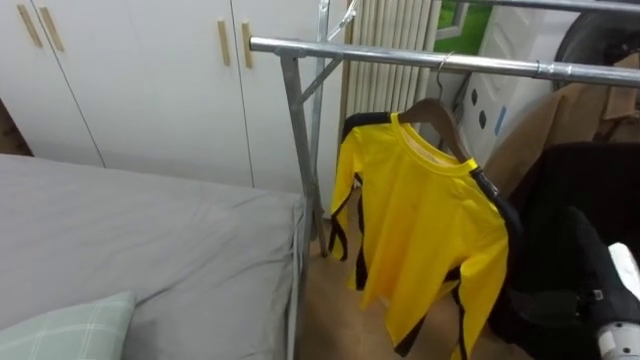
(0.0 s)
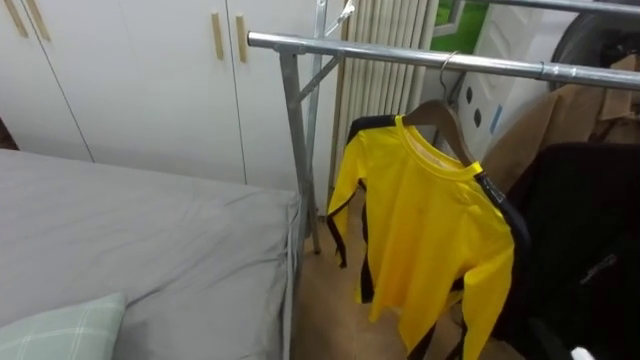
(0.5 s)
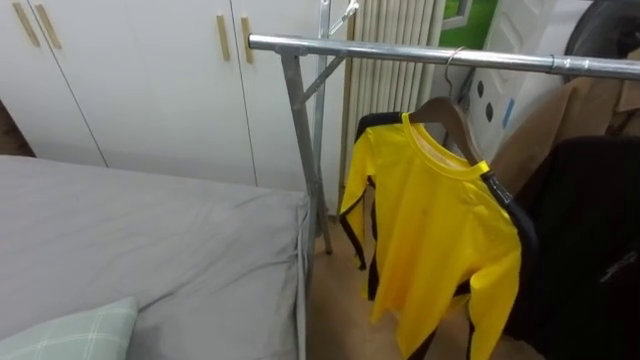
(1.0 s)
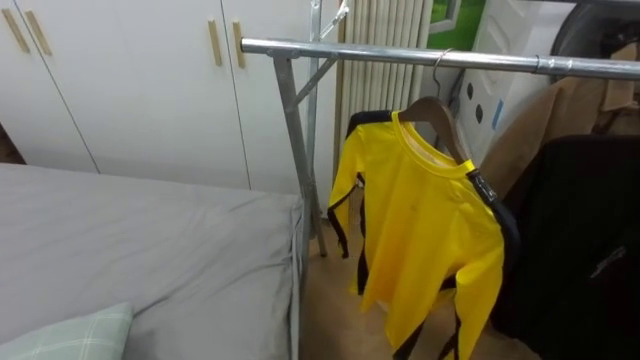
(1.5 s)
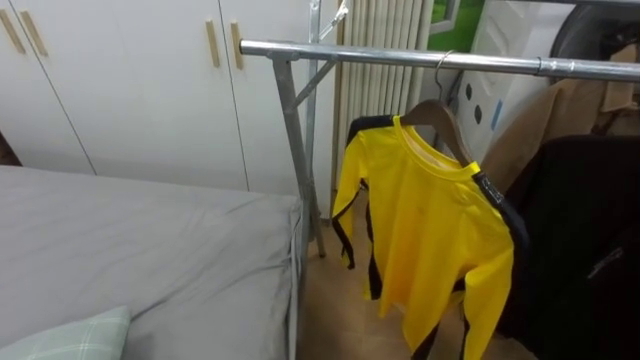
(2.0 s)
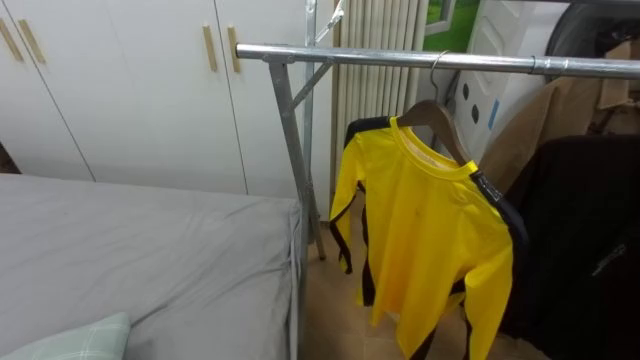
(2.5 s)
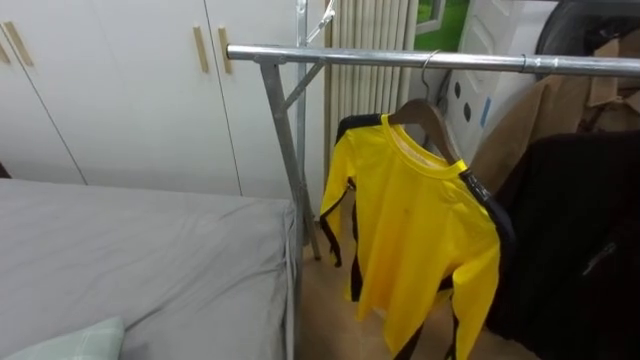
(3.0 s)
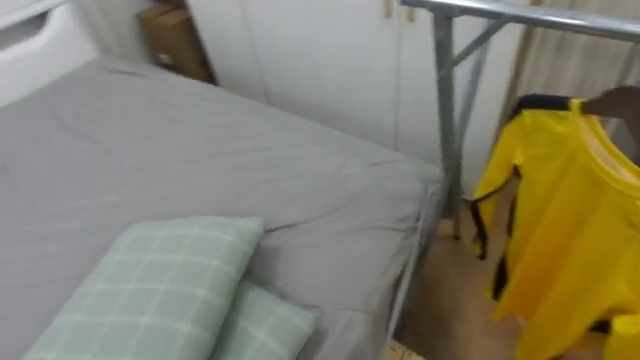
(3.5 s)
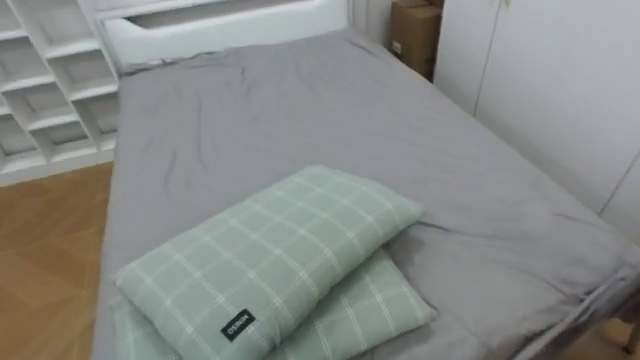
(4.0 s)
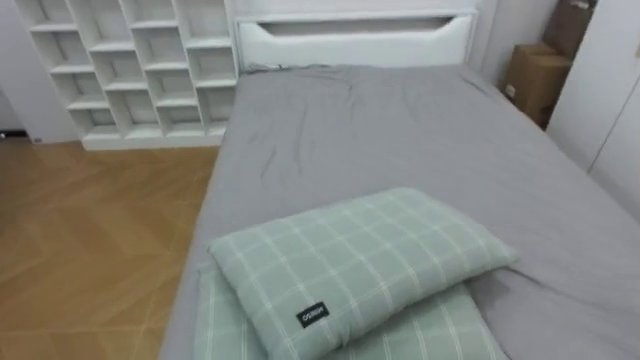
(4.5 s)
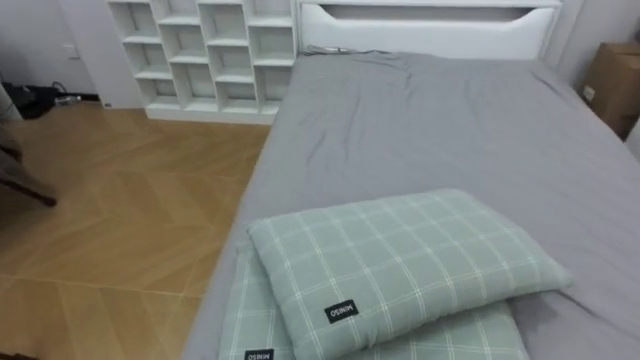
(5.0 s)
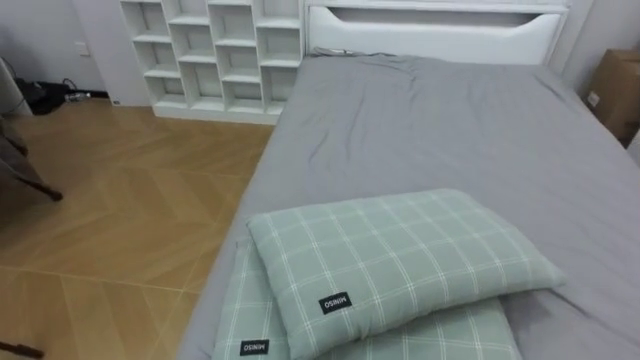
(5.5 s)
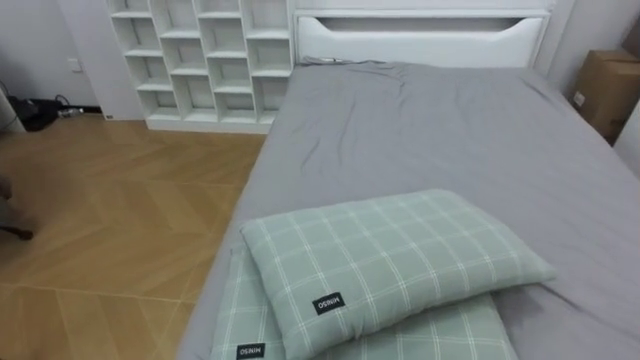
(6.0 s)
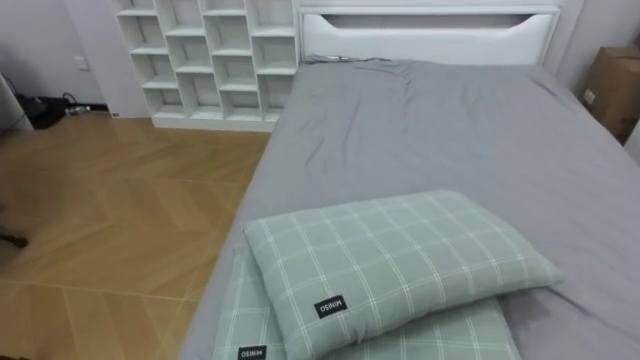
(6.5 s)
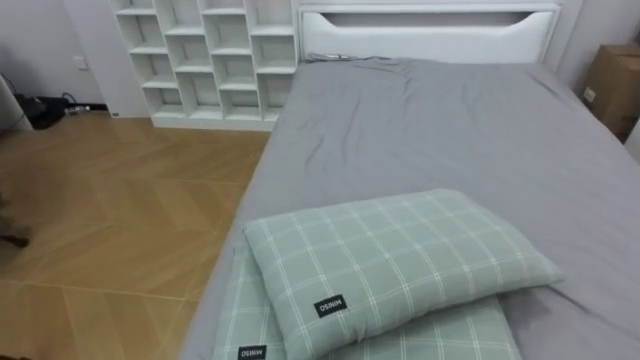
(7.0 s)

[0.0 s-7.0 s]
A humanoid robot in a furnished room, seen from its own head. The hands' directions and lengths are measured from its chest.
Task of the whole recording: Pick up the yellow shirt on the bed and hang it on the clothes rack on the right.
2.0 to 3.5 s: The robot faces approximately 15 degrees further to its left.
3.5 to 5.0 s: The robot faces some 70 degrees further to its left.

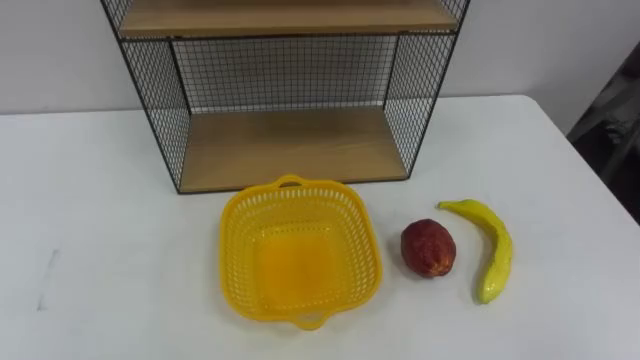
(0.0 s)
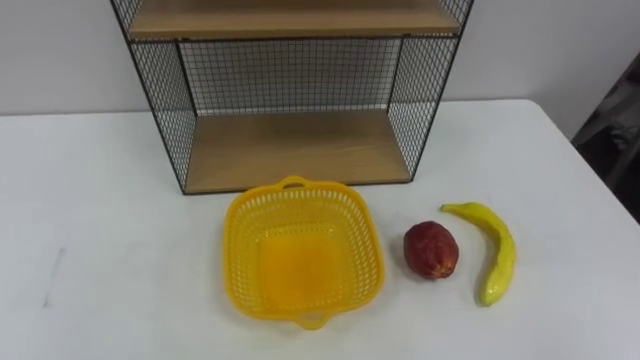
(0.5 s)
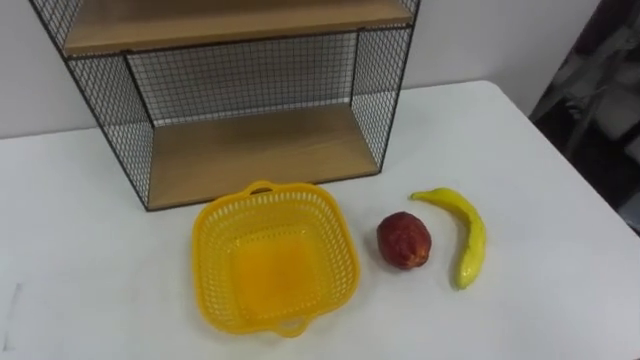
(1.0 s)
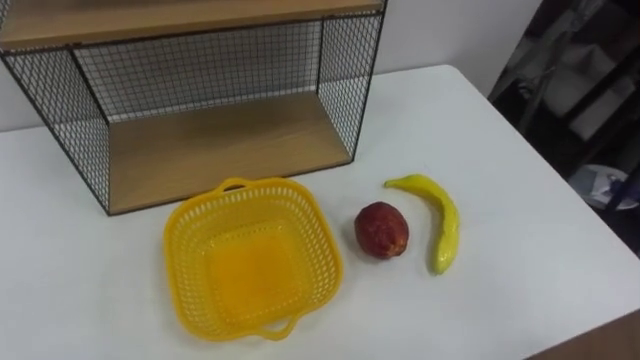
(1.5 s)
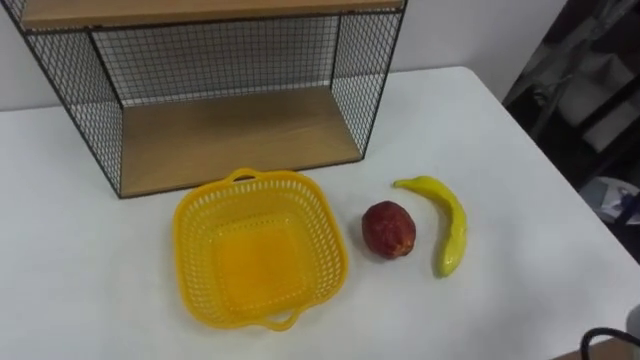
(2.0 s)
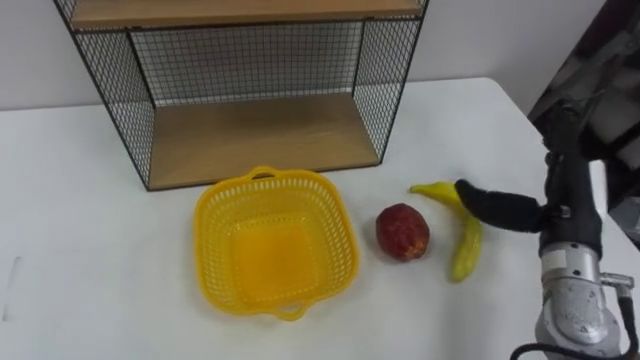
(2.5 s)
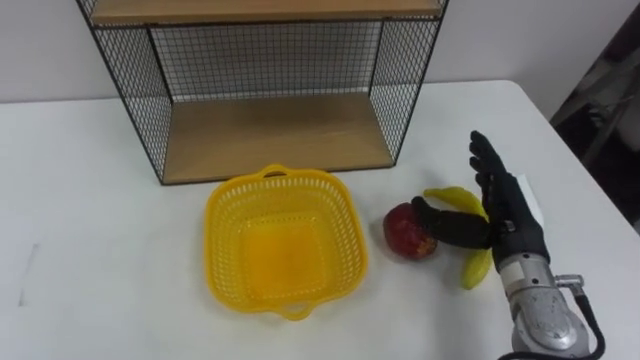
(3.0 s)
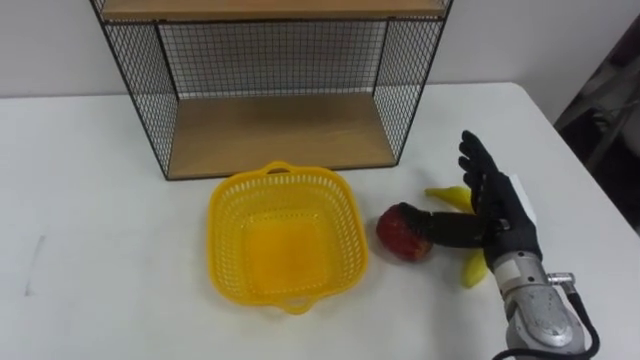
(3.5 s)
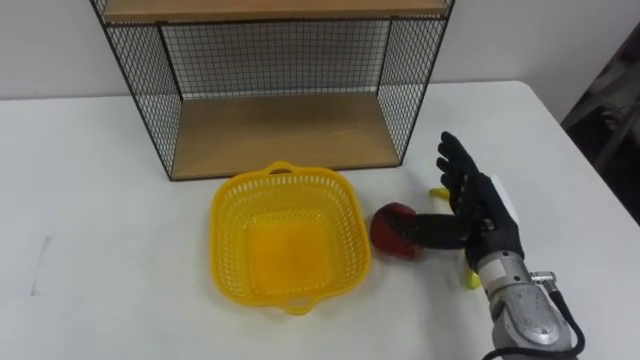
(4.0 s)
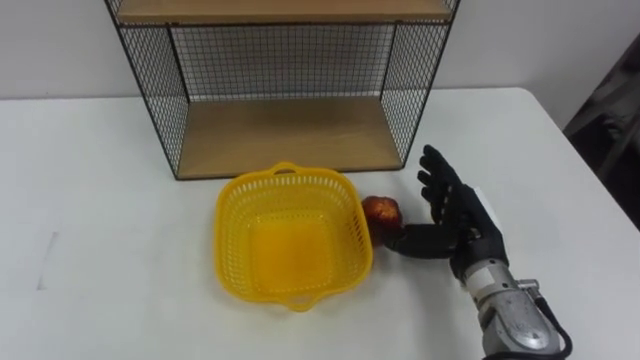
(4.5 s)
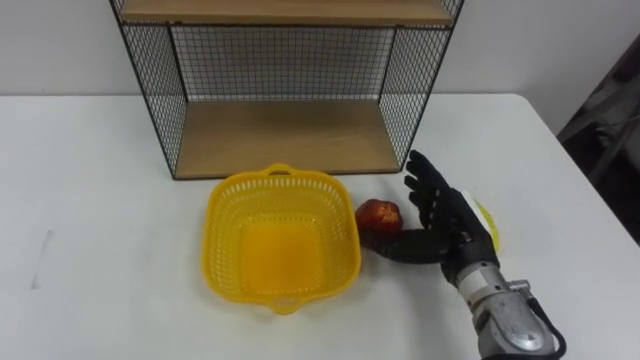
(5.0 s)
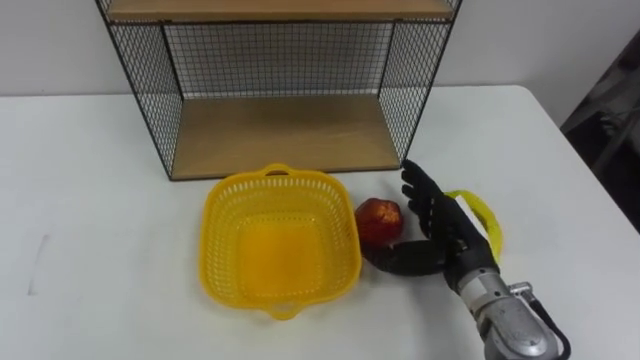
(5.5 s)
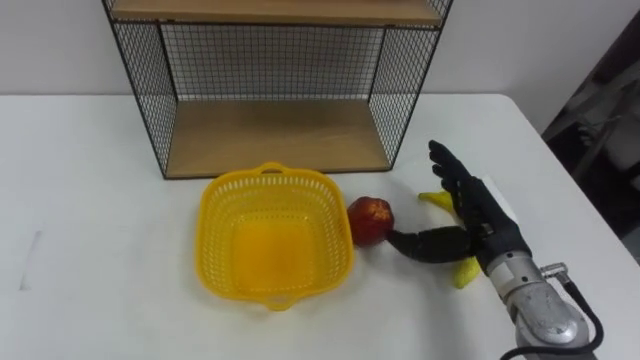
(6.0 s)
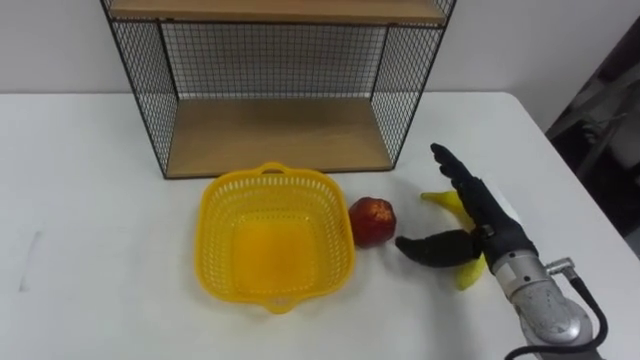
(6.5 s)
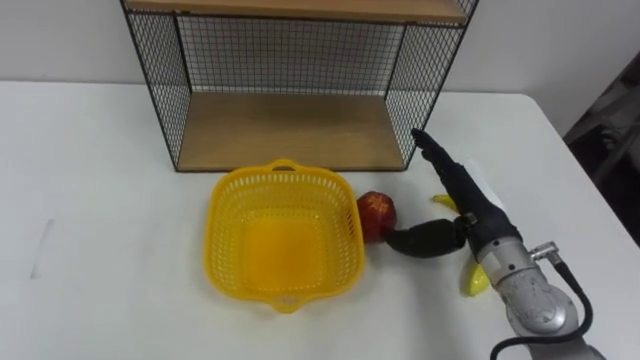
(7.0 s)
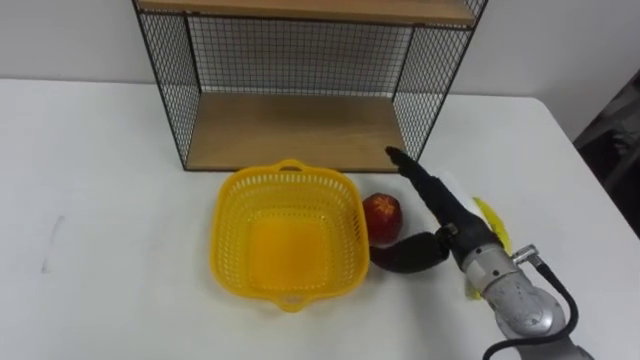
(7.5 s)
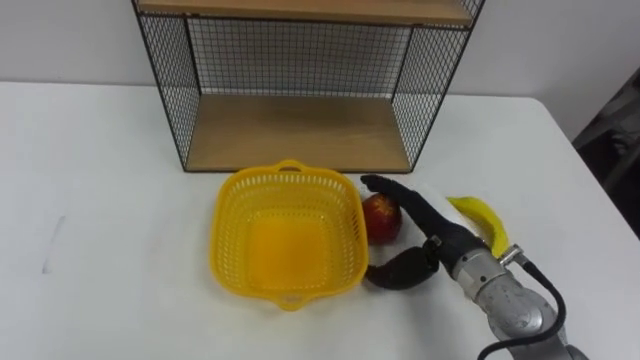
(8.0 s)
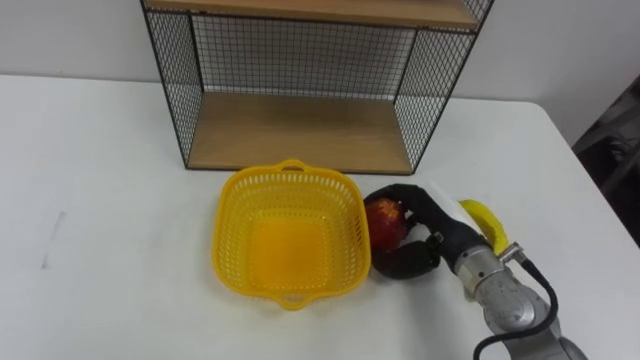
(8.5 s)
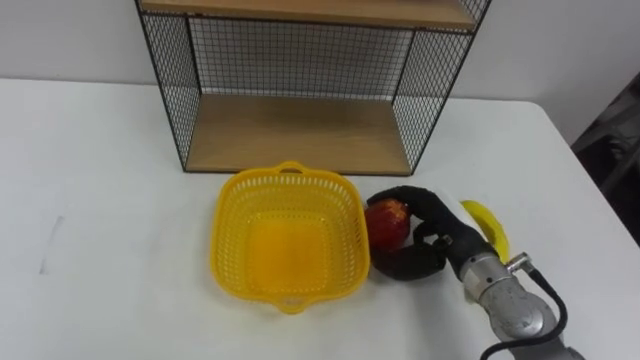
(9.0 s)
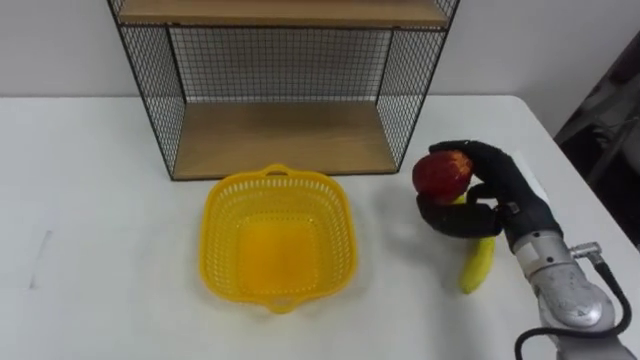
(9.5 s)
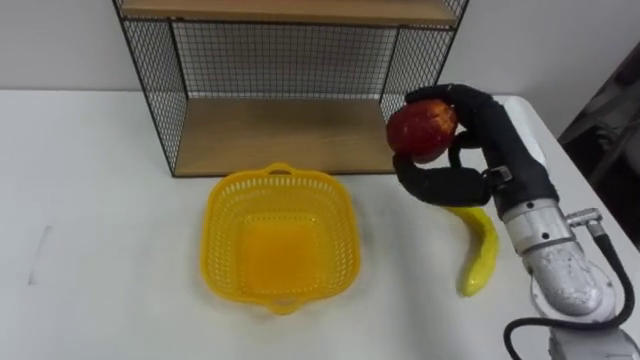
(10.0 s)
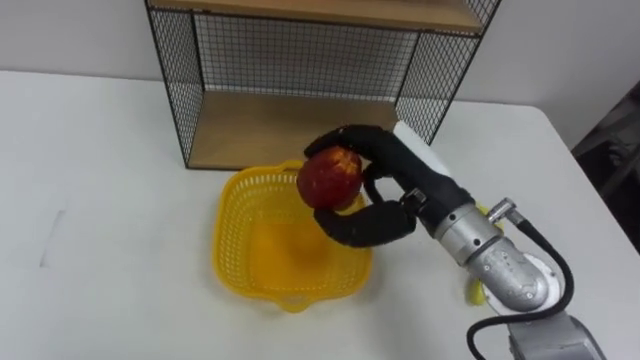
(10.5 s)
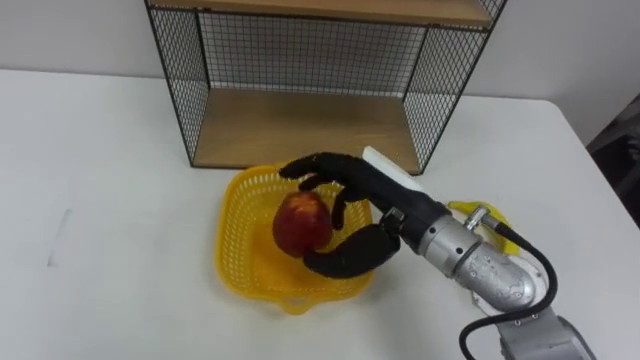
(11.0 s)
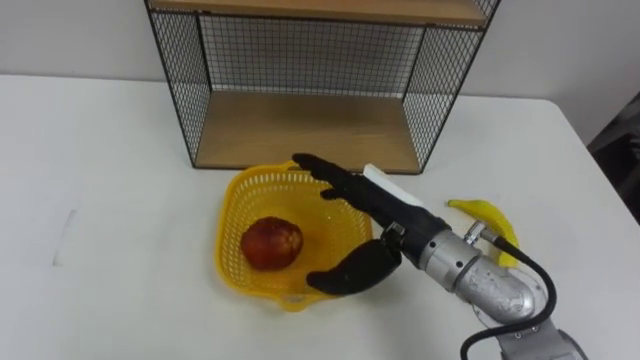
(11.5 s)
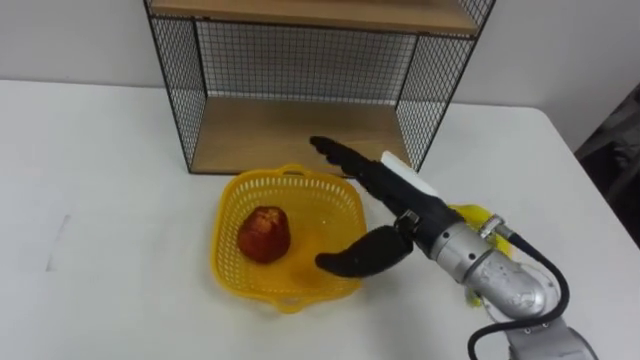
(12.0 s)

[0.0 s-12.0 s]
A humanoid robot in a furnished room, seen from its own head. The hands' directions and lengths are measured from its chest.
Task of the whole recording: Put the fruit on the table into the basket, then place the basket on the shelf.
6.0 to 8.0 s: The right hand travels to the left by approximately 5 cm.
8.0 to 10.0 s: The right hand heads upward, covering roughly 10 cm, and closes its fingers.
10.0 to 12.0 s: The right hand heads to the left, covering about 10 cm, and opens its fingers.

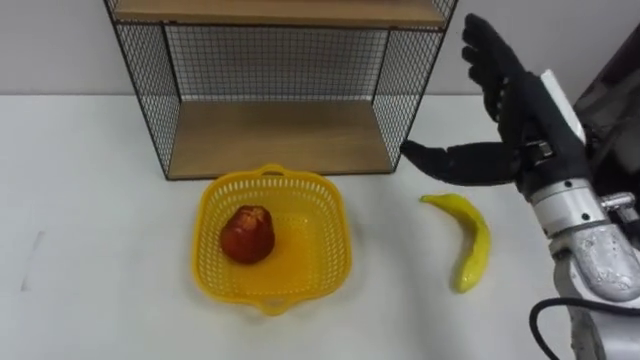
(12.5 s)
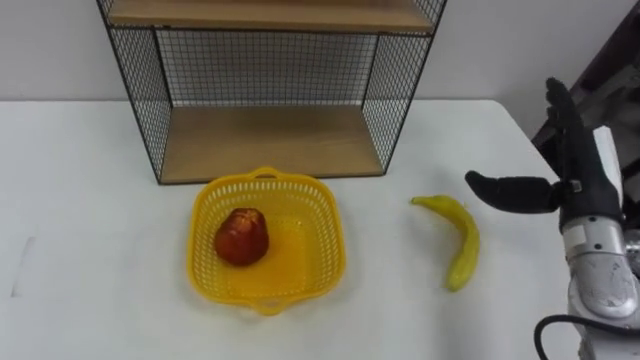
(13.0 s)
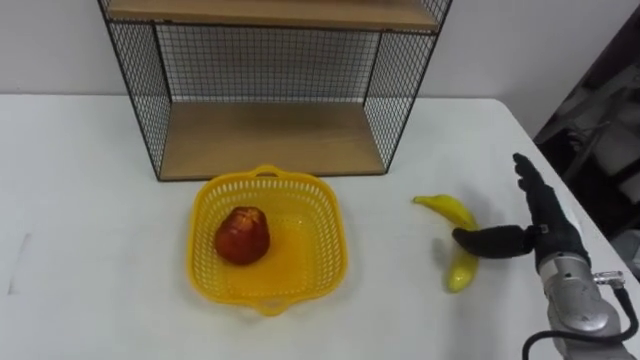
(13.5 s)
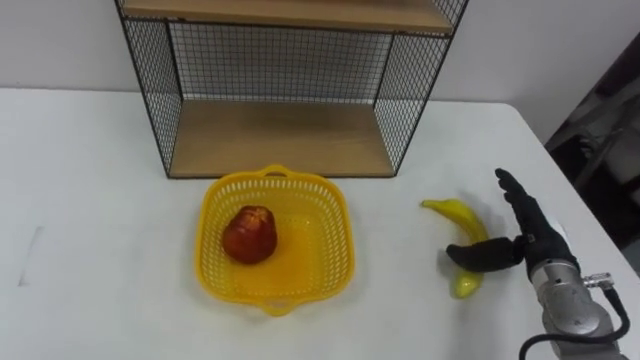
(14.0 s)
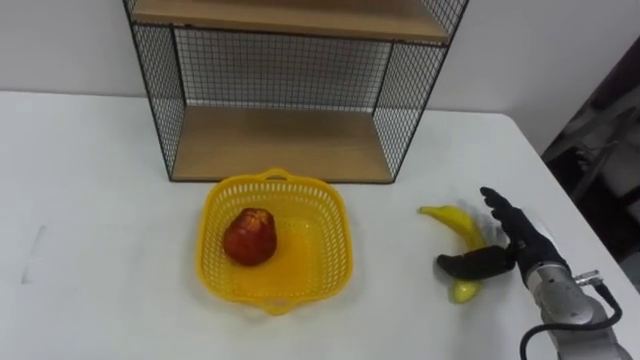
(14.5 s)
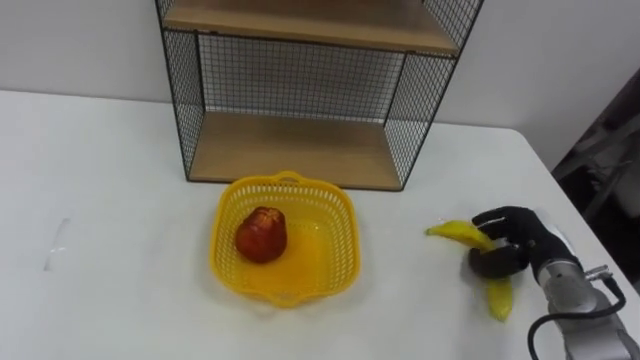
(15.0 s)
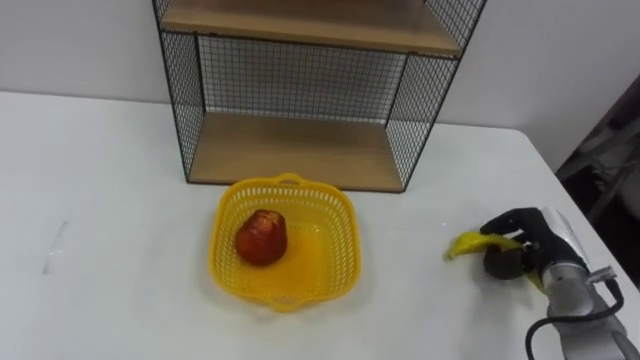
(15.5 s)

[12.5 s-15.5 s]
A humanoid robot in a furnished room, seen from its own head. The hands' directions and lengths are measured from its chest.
Task of the whole recording: Put the fruit on the table into the basket, then place the basket on the shelf.
12.5 to 14.0 s: The right hand shifts approximately 20 cm downward and to the right.
14.0 to 15.5 s: The right hand changes place by approximately 5 cm, and closes up.
